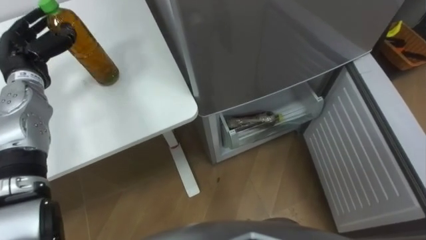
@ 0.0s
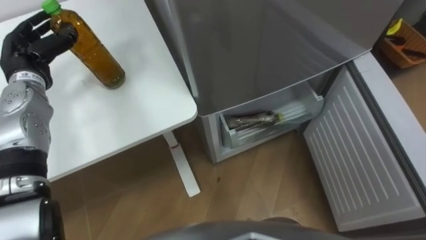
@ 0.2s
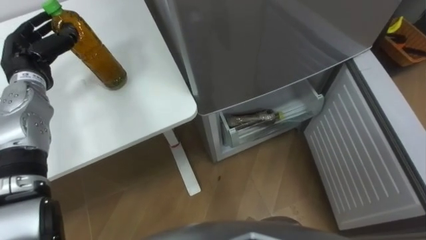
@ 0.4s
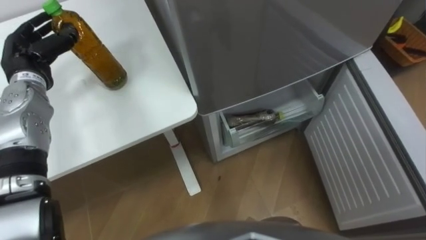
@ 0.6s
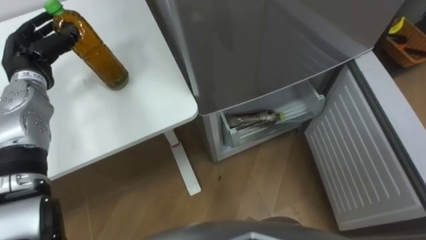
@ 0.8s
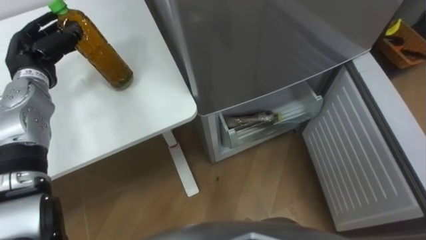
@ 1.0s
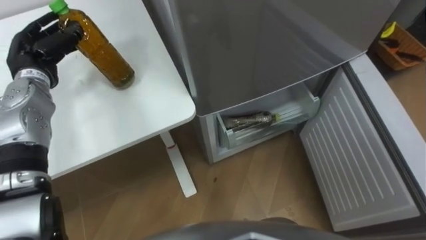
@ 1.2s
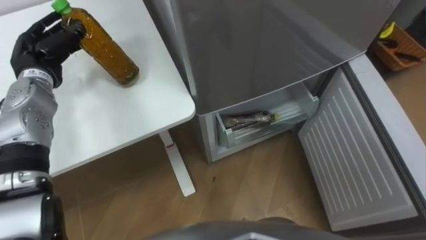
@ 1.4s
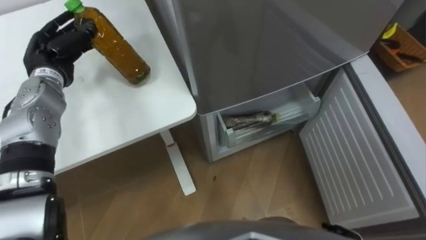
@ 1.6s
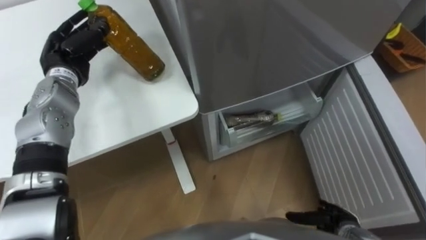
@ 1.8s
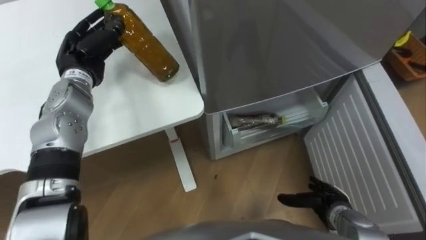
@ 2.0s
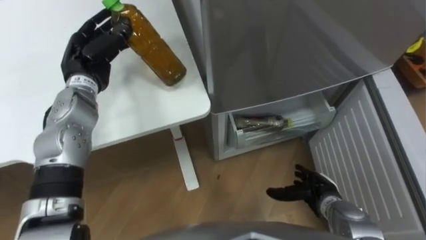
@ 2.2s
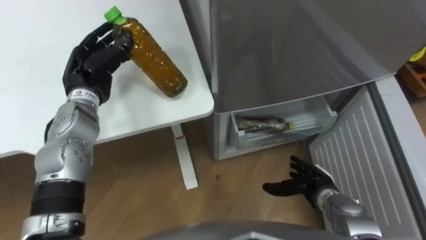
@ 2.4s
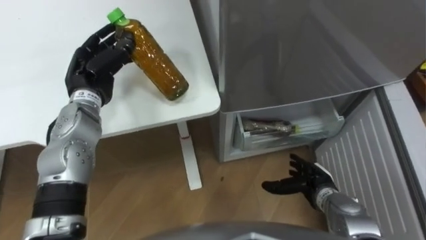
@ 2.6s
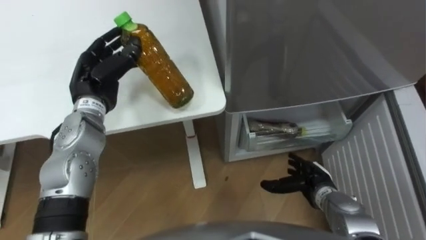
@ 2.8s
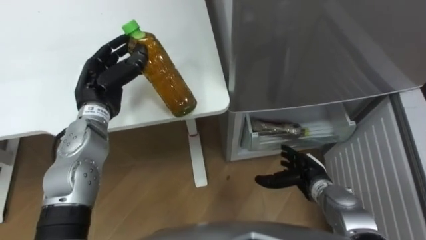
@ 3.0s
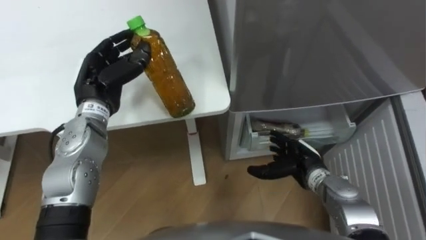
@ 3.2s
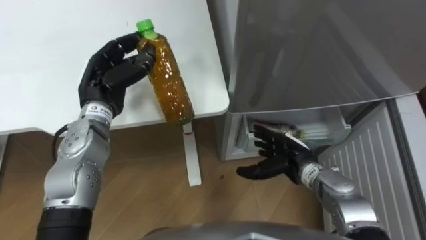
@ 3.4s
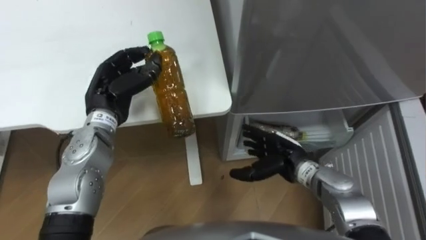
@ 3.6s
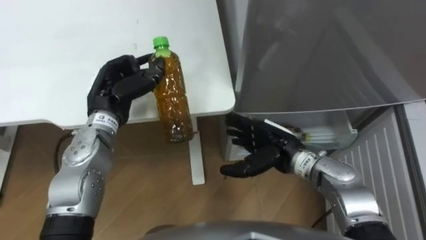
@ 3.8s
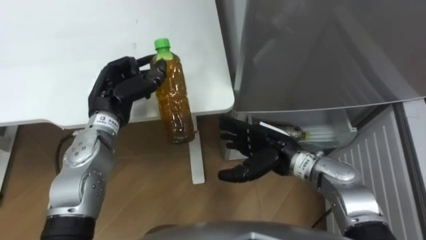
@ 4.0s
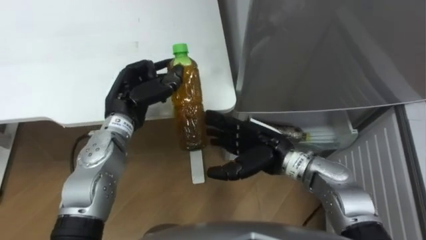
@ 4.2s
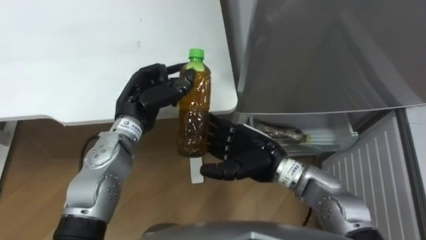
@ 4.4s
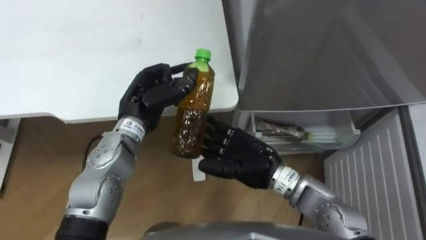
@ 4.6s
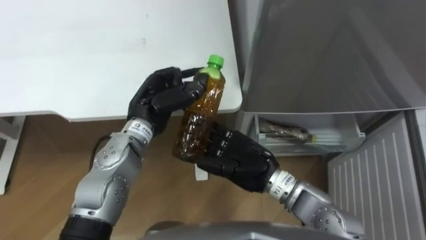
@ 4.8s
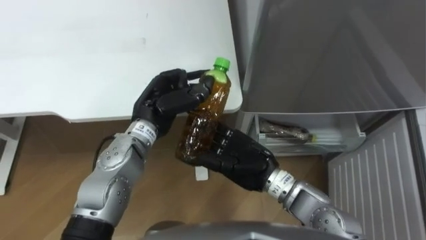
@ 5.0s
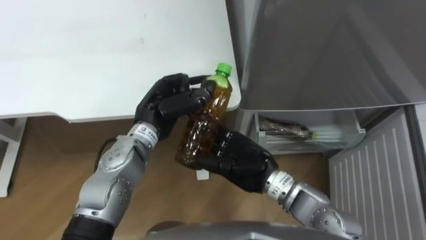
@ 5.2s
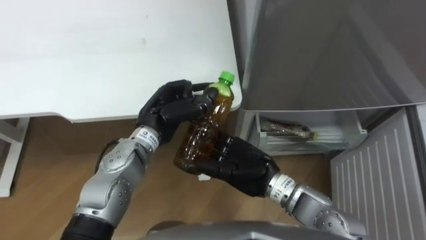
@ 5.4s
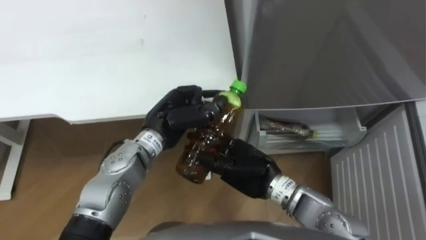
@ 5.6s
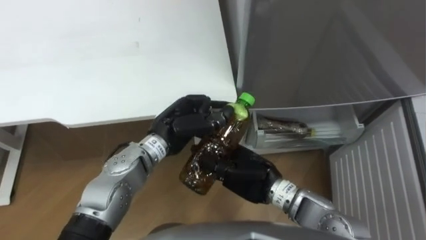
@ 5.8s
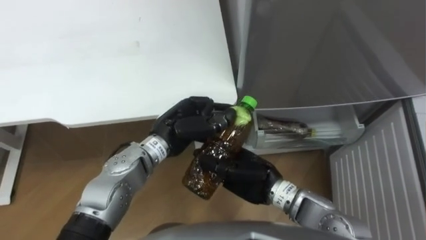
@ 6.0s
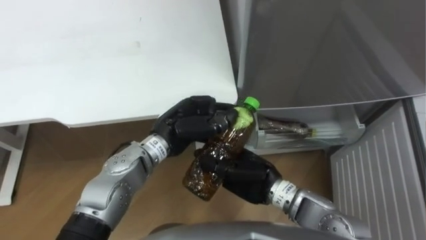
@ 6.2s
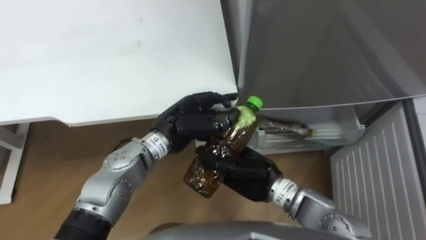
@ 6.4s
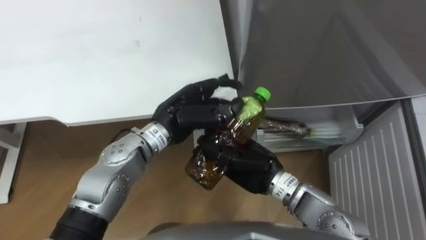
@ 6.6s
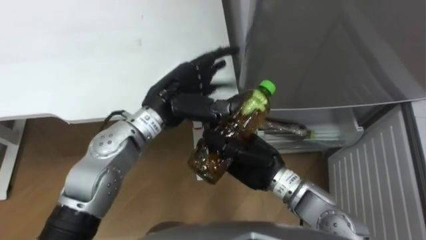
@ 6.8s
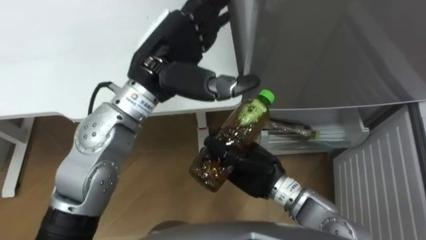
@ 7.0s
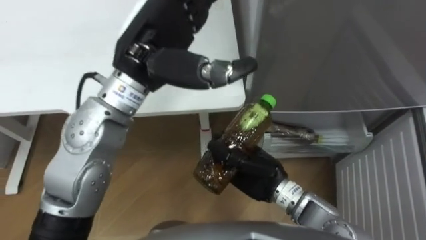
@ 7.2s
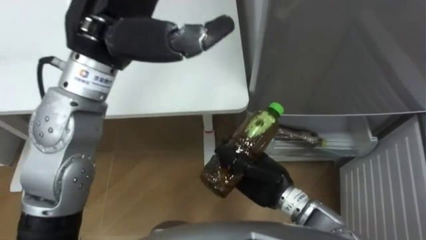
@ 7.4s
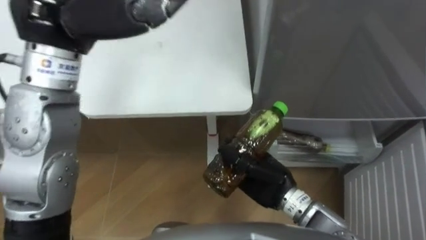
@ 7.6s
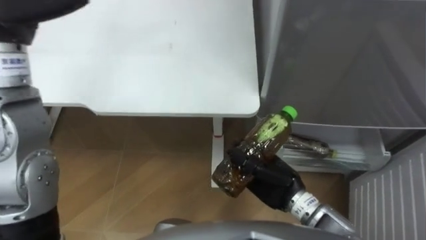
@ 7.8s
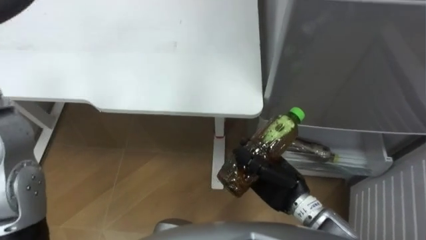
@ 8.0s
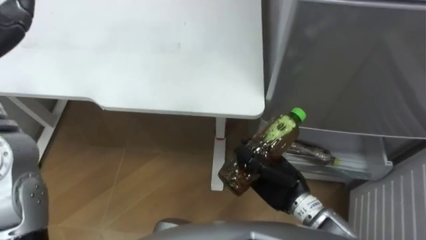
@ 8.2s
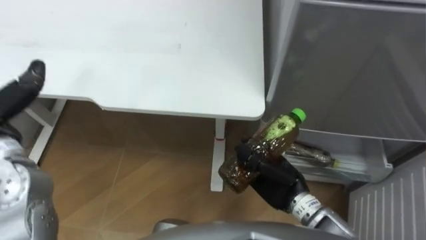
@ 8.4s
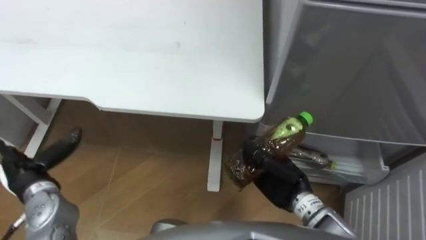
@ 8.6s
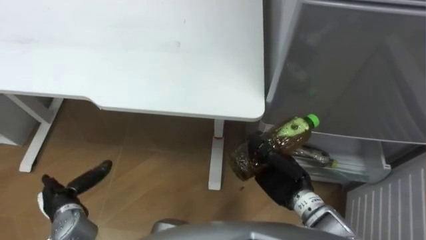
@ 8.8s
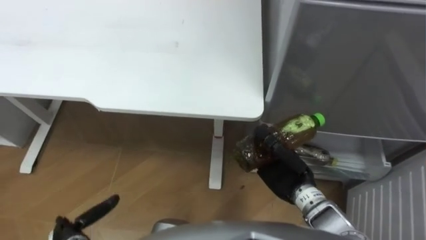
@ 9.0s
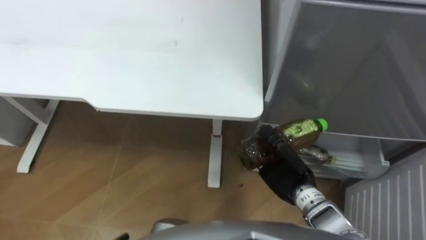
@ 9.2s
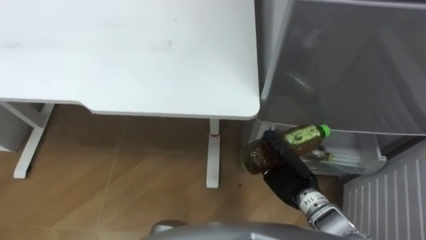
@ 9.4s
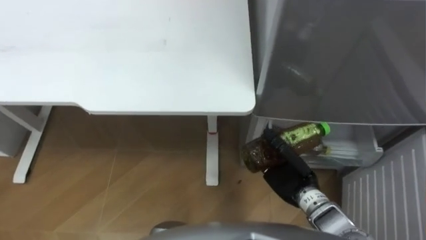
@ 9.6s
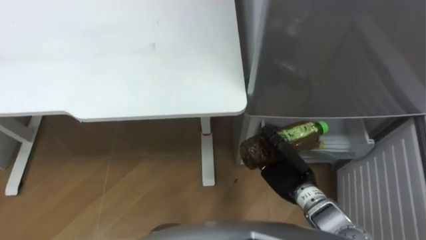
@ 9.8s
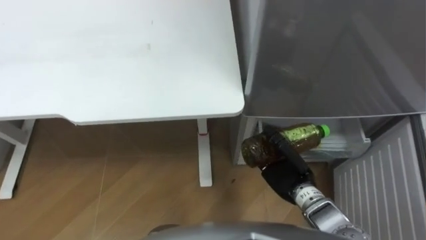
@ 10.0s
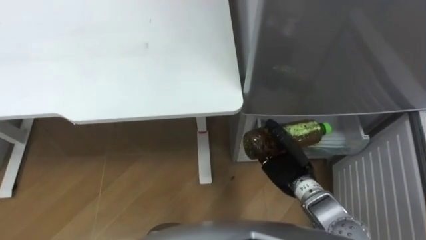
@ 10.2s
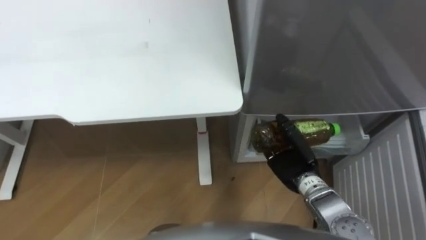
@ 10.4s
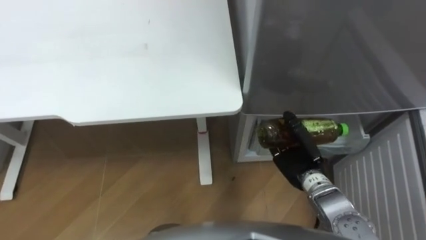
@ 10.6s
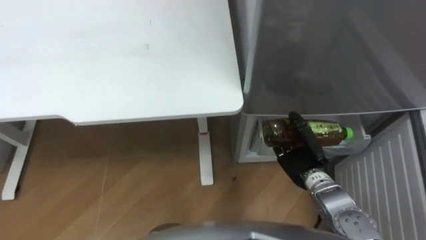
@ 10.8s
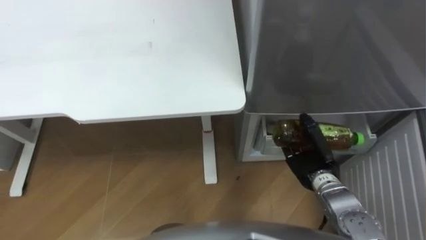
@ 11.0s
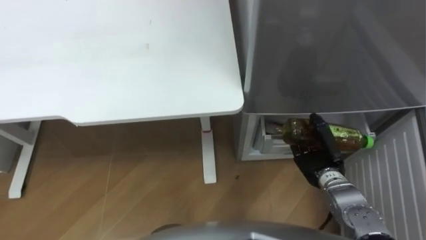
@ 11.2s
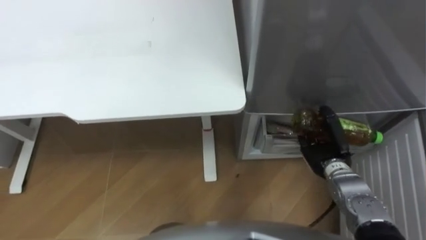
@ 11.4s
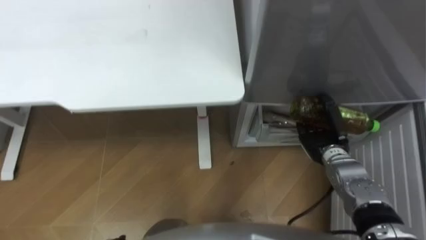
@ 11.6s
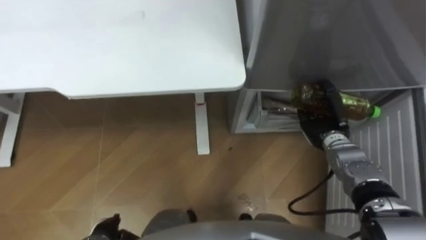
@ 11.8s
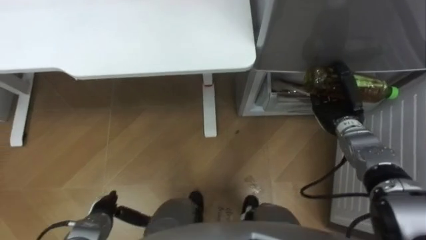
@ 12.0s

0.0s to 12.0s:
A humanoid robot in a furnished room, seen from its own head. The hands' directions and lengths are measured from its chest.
Task of the whole recording: Place the drink on the table on the bottom shelf of the refrigerator, then close the drawer and the refrigerator door.
1.6s to 3.0s: The left hand moves to the right and backward, some 10 cm.
3.0s to 4.4s: The right hand moves to the left and upward, roughly 20 cm. The left hand heads to the right, covering some 5 cm.
4.4s to 6.0s: The right hand closes up, while the left hand goes about 10 cm to the right.
6.0s to 7.6s: The left hand shifts some 25 cm upward, and opens.
7.6s to 9.0s: The right hand goes roughly 5 cm to the right.
10.4s to 12.0s: The right hand is displaced forward and to the right by about 15 cm.

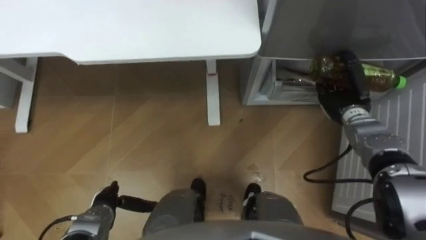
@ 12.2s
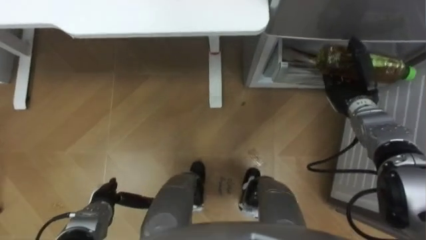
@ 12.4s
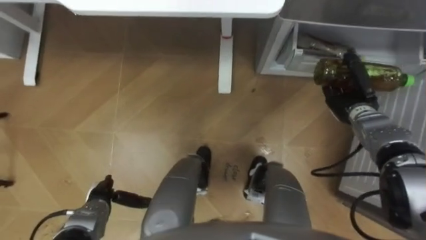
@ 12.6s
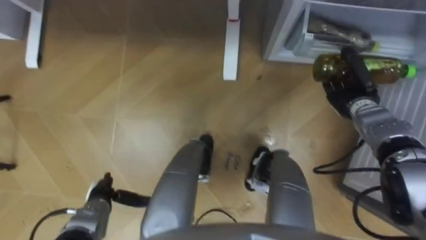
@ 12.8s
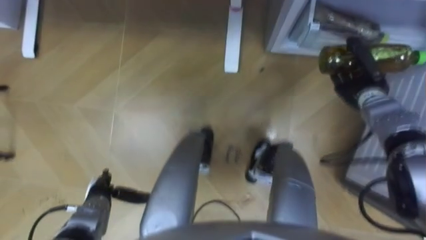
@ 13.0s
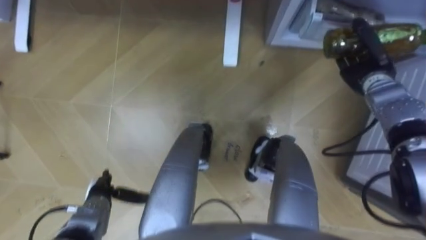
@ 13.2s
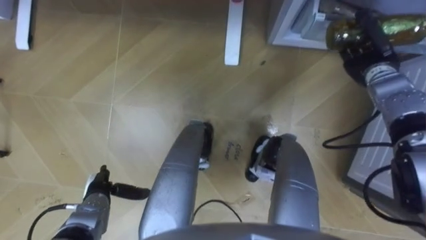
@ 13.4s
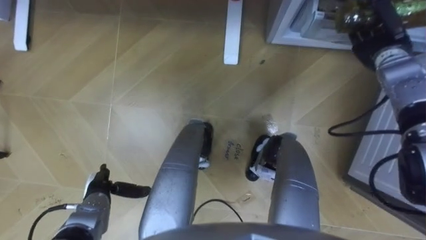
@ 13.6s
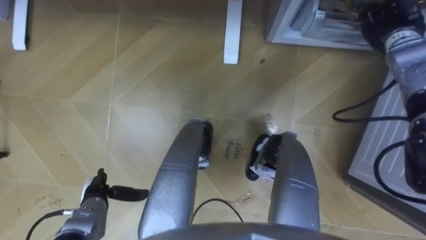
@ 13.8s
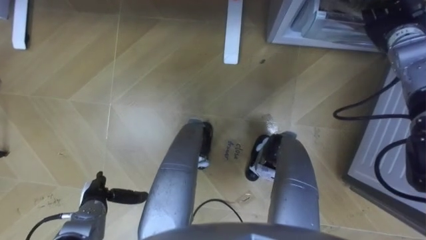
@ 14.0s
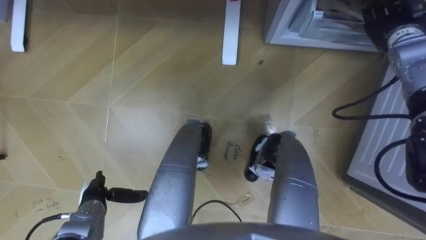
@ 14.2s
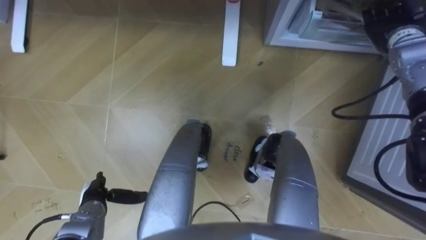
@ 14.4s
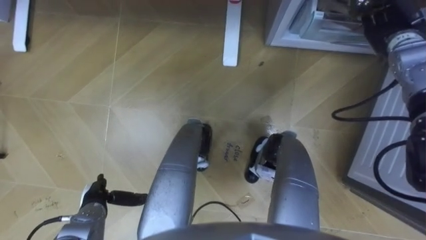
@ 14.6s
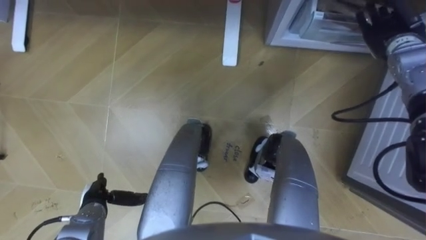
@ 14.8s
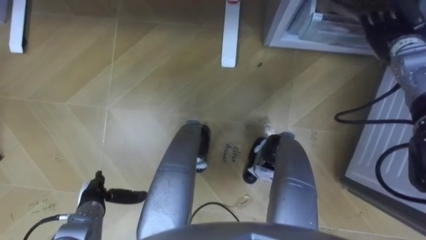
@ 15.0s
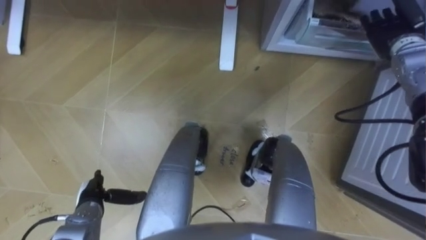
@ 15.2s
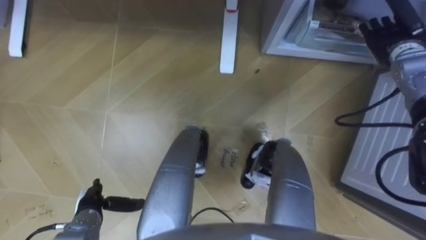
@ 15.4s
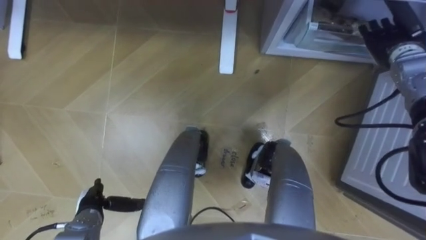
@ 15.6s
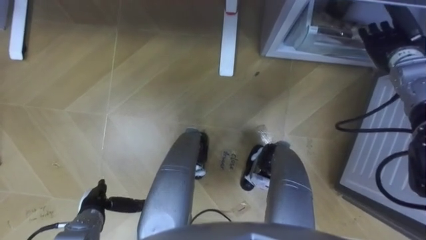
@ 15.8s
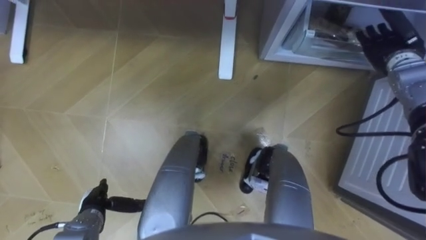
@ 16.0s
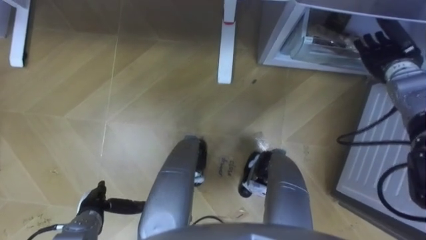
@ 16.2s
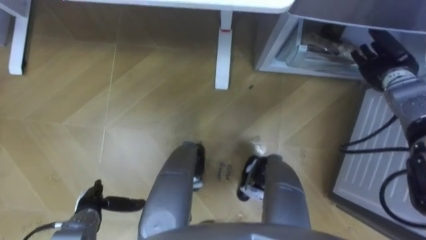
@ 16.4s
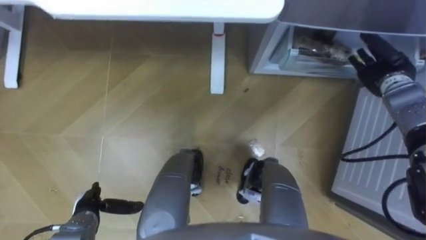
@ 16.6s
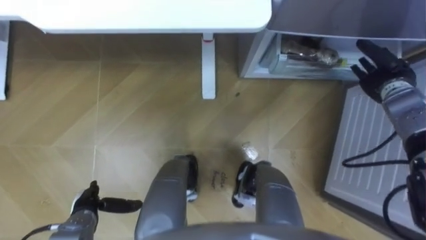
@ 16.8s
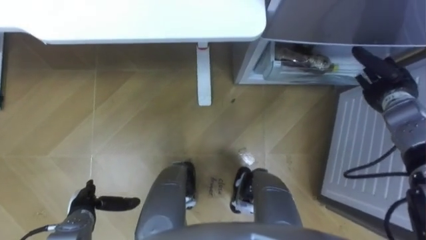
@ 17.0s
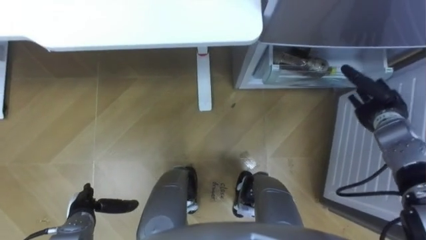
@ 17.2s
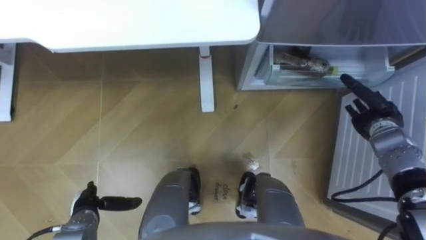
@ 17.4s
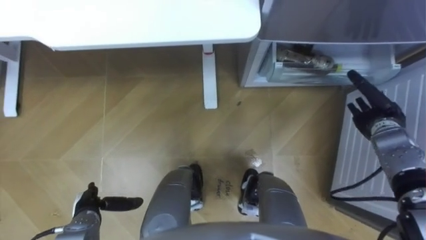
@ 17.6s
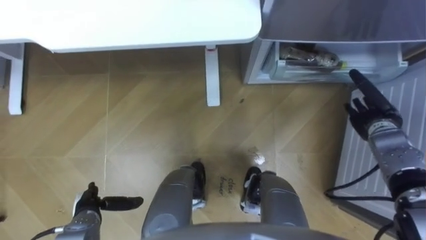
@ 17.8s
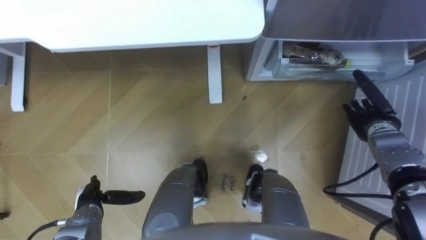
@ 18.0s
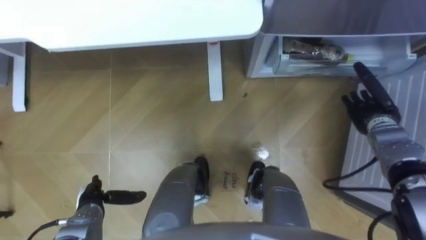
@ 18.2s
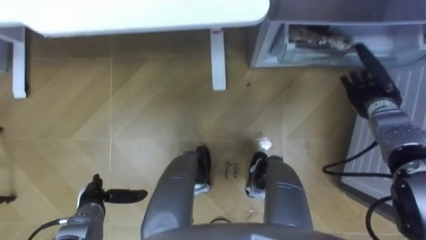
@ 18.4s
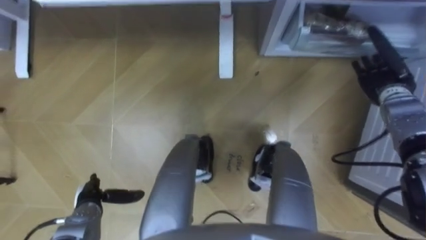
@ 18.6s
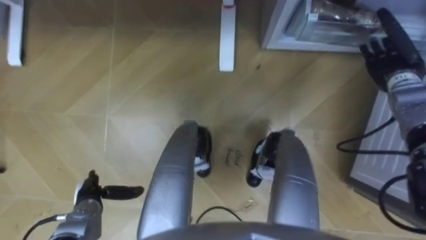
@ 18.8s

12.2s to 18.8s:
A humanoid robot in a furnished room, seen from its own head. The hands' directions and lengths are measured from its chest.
Task of the whole recording: Place the drink on the table on the bottom shelf of the refrigerator, then close the drawer and the refrigerator door.
12.2s to 13.8s: The right hand shifts roughly 15 cm upward and forward.
13.8s to 15.4s: The right hand opens its fingers.
15.4s to 17.2s: The right hand moves backward and downward, approximately 15 cm.
17.2s to 18.8s: The right hand shifts approximately 10 cm forward and upward.
